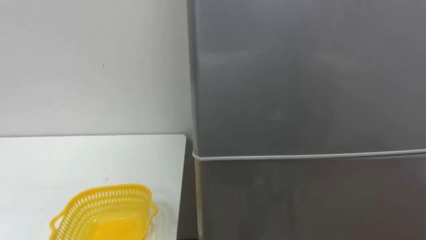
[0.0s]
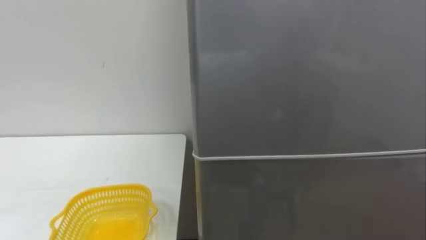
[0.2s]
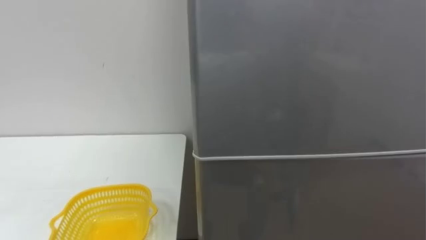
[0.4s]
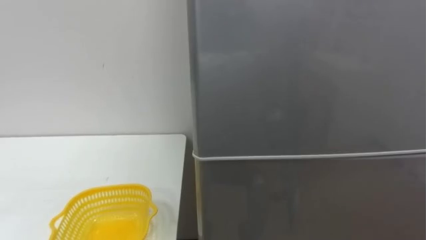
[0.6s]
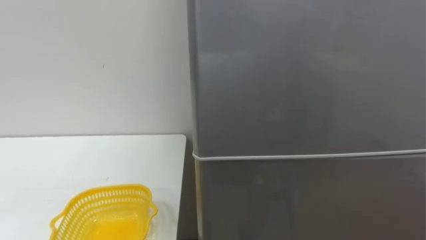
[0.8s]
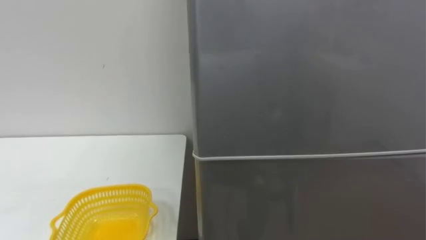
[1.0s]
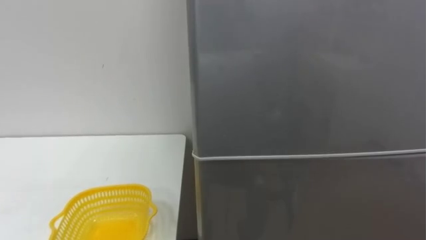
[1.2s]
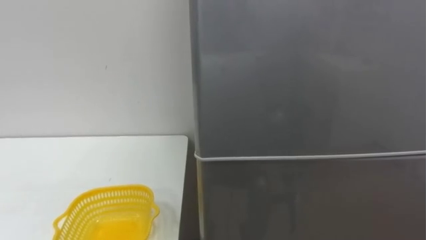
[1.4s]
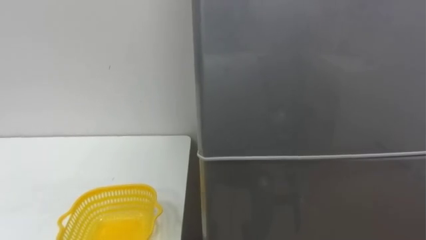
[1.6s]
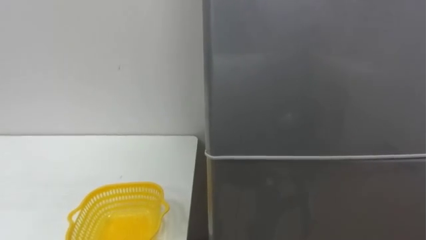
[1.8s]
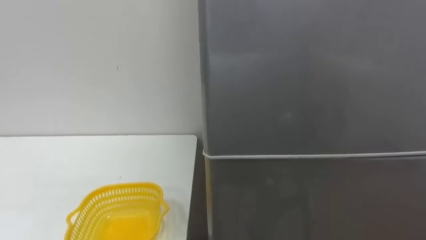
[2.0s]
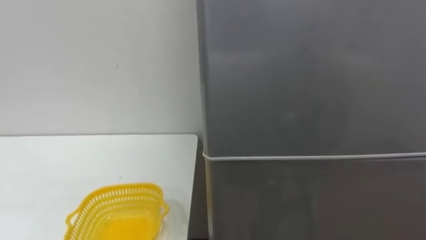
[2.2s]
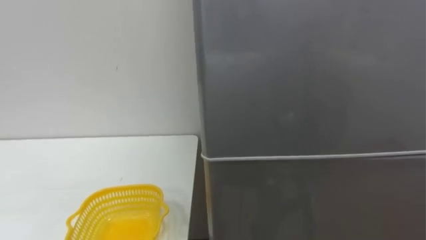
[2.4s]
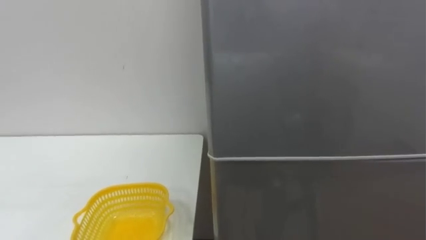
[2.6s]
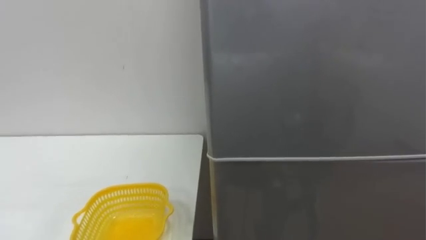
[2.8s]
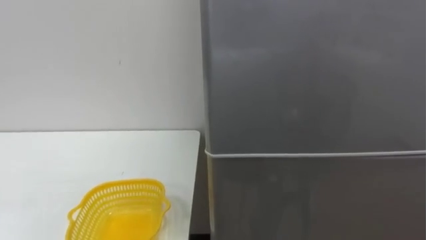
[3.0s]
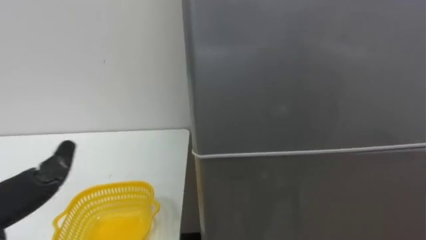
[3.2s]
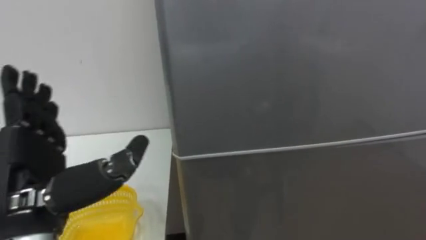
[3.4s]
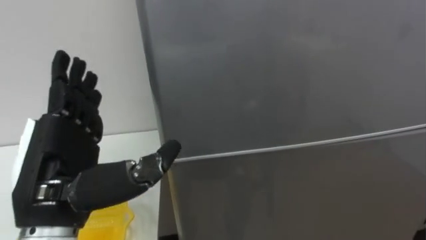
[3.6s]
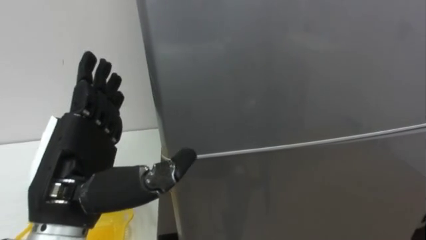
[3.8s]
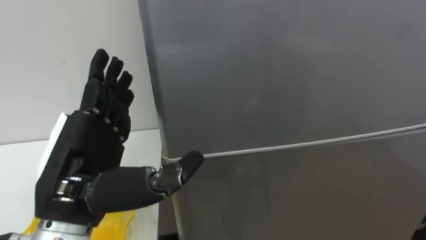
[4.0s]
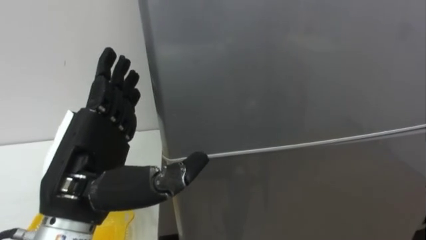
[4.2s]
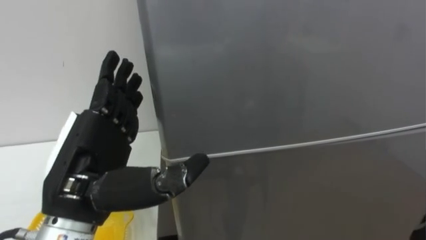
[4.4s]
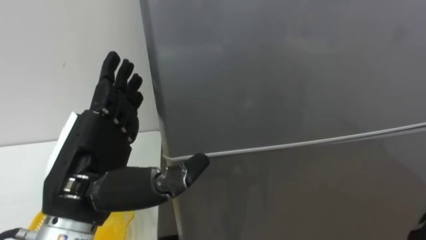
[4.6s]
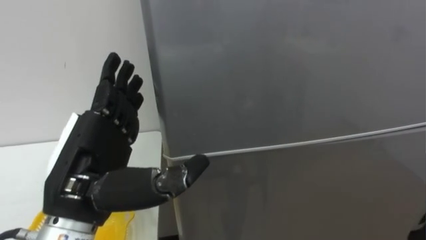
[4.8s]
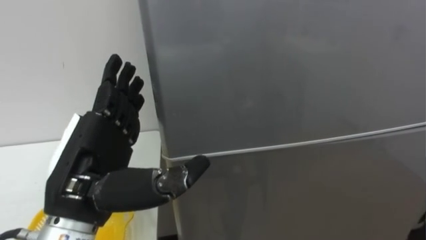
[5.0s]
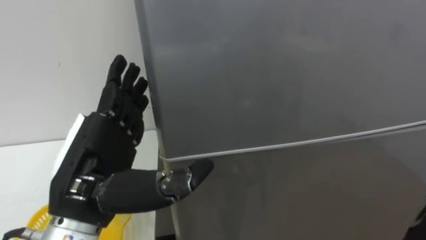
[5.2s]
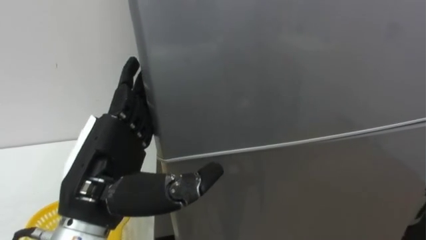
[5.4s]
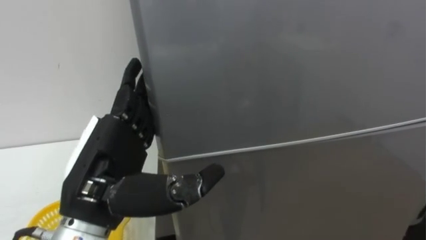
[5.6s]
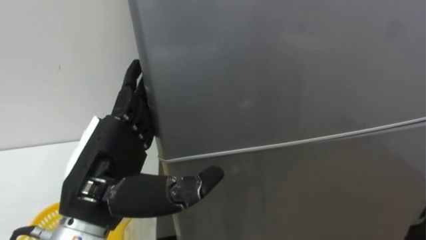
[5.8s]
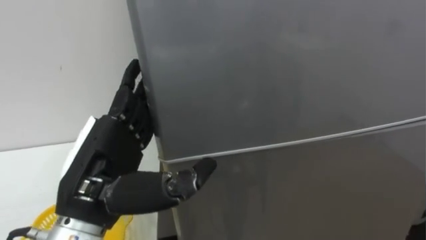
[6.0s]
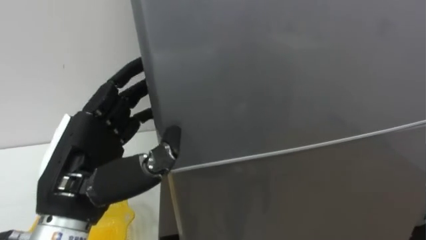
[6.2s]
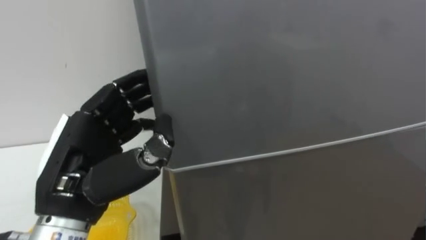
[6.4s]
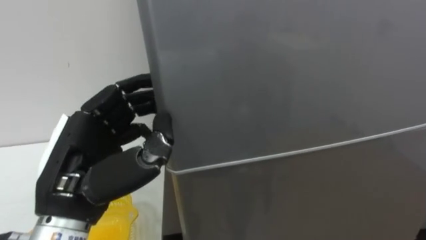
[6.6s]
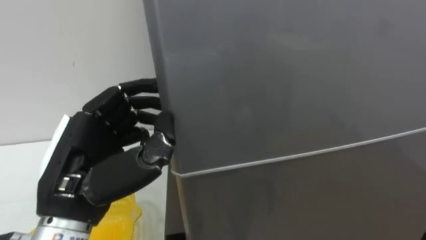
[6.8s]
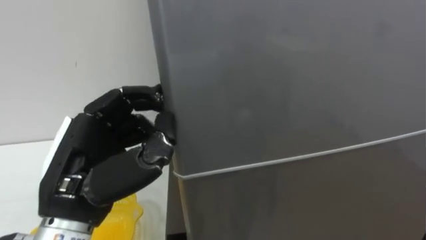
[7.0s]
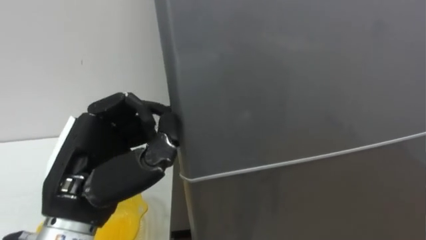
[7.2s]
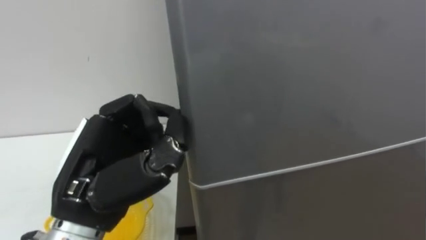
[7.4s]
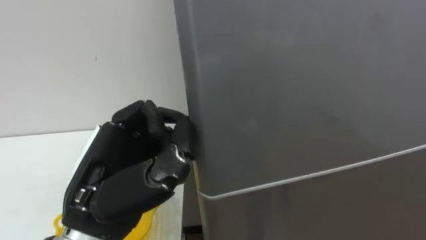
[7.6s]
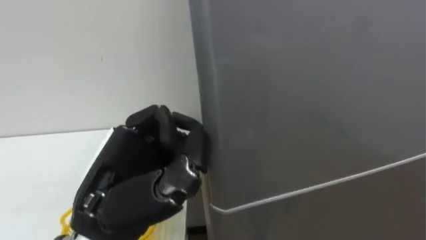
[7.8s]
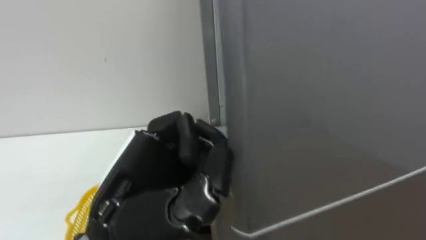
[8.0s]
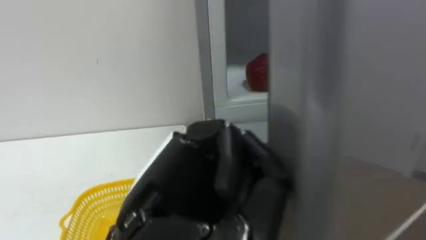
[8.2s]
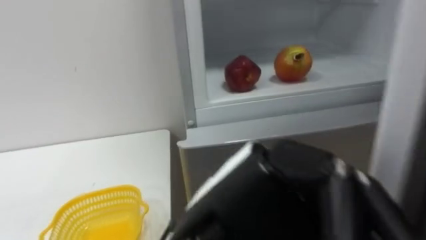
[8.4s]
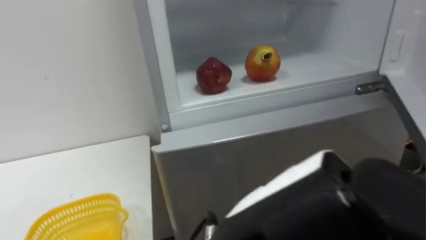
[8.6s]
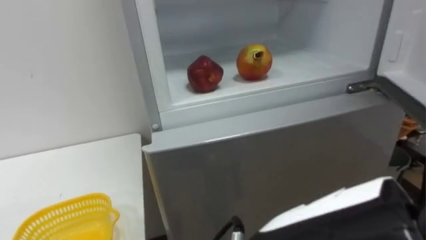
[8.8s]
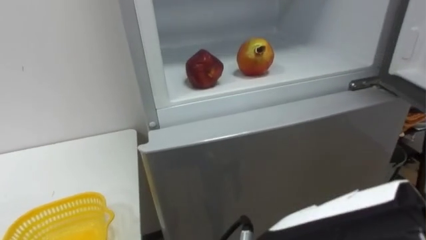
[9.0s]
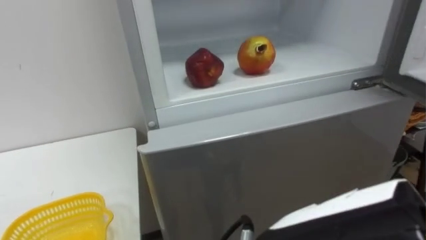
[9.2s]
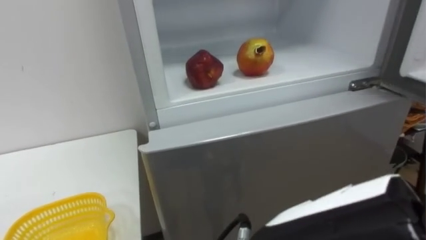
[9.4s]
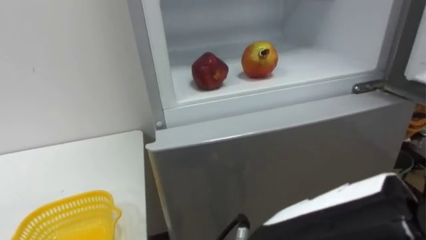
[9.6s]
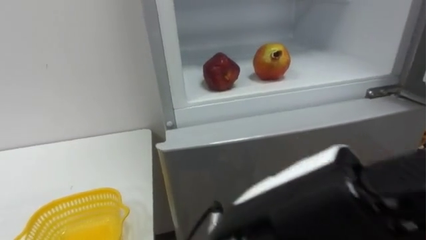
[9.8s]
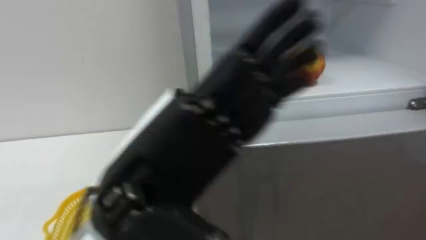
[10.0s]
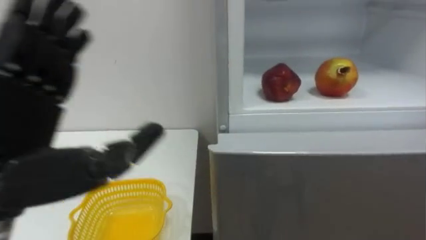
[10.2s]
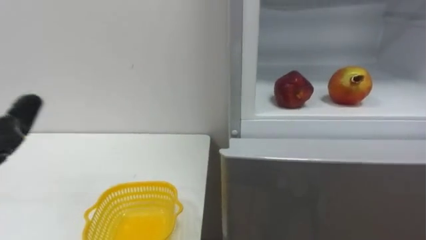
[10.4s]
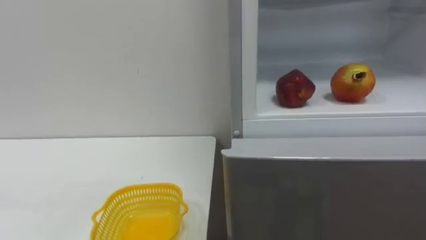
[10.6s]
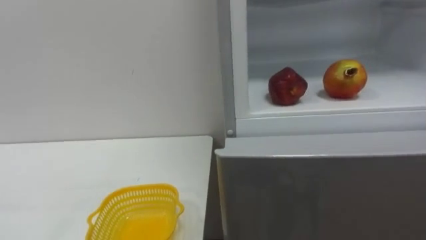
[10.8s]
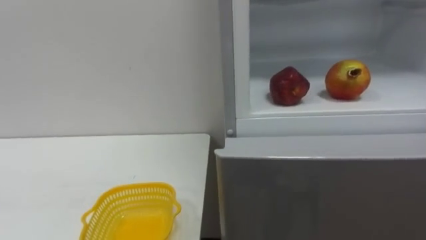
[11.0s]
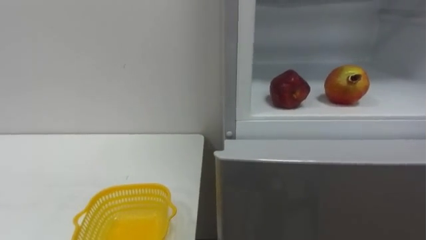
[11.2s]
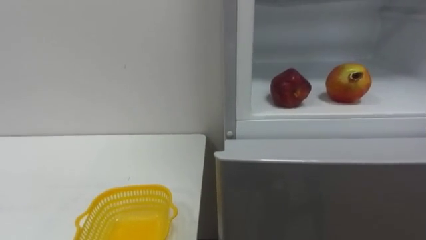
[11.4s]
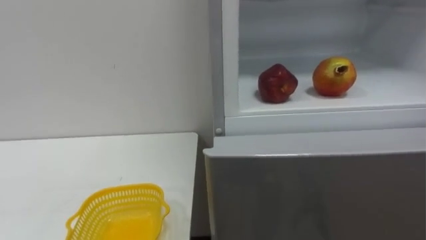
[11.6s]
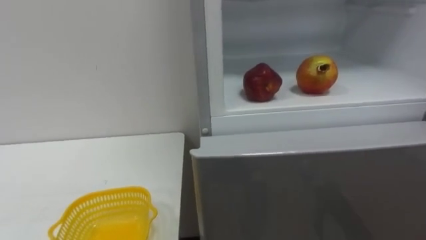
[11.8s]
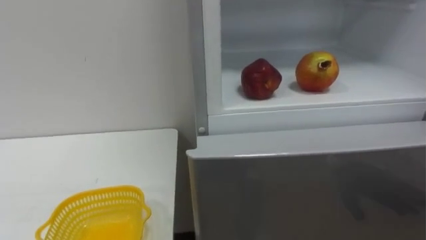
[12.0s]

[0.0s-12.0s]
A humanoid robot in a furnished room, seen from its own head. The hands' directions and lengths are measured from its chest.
Task of the whole recording: Open the refrigerator door, take out the apple and the pomegranate, place them in the fruit basket on the left, and close the refrigerator door.
6.0s to 7.6s: The left hand closes.

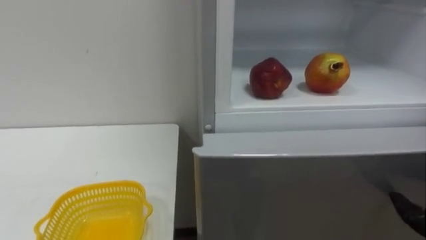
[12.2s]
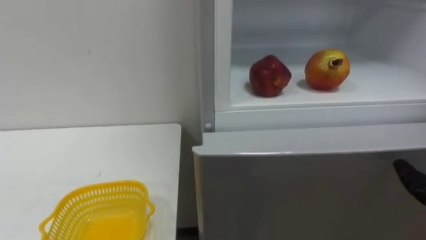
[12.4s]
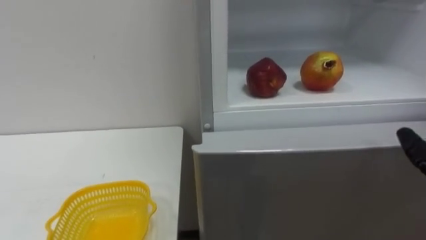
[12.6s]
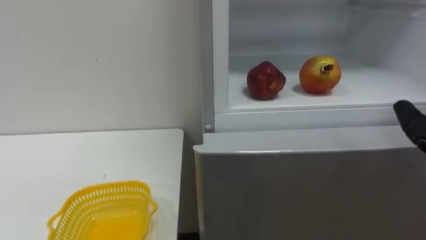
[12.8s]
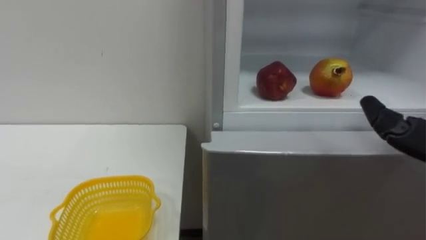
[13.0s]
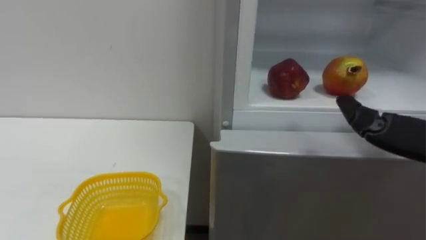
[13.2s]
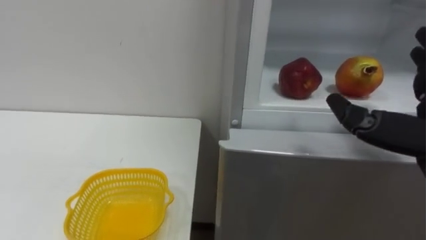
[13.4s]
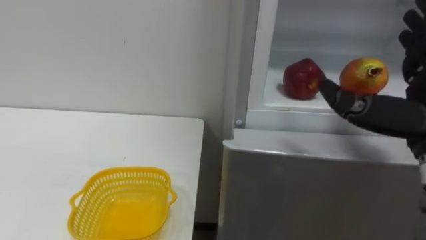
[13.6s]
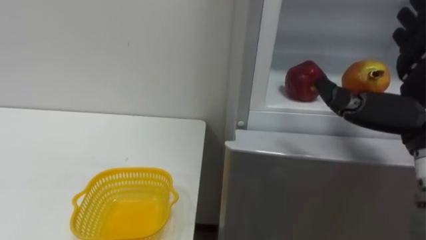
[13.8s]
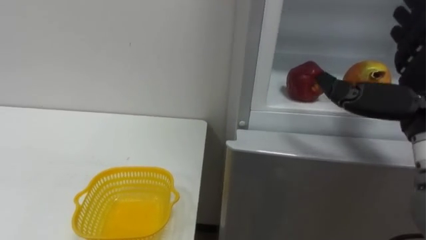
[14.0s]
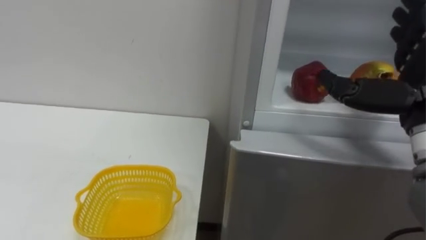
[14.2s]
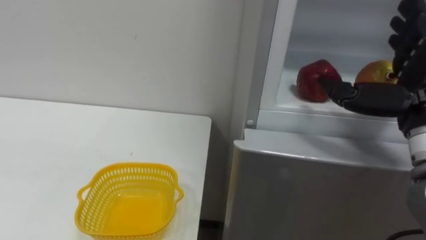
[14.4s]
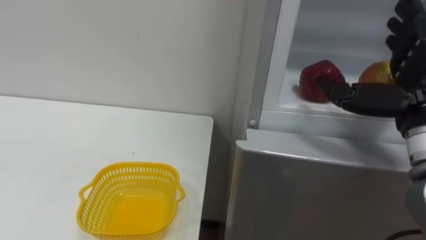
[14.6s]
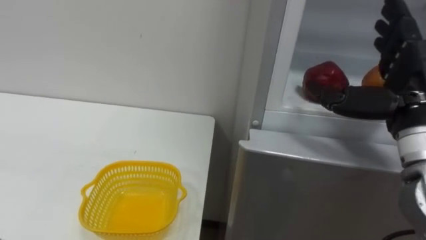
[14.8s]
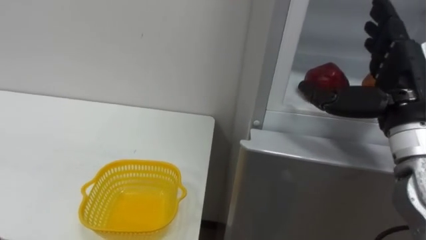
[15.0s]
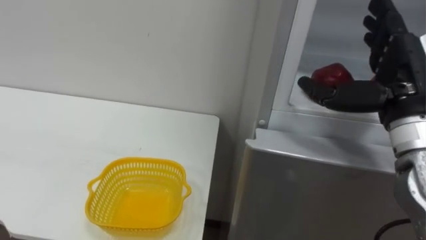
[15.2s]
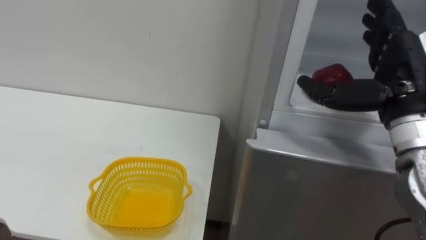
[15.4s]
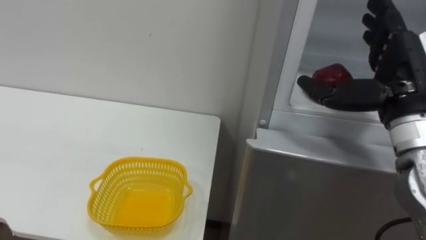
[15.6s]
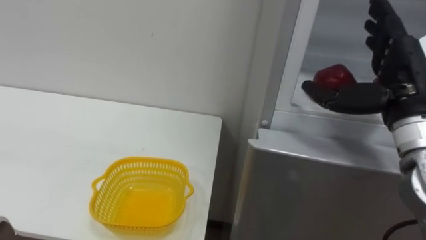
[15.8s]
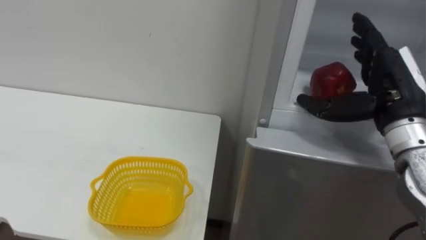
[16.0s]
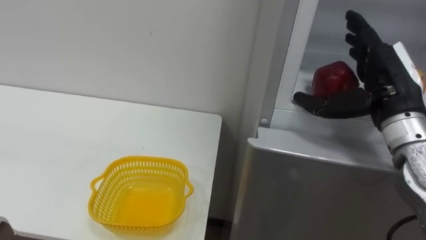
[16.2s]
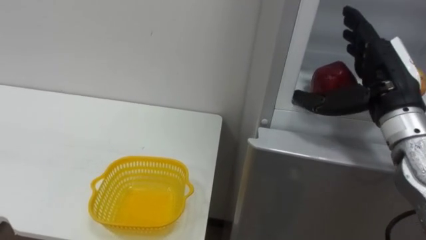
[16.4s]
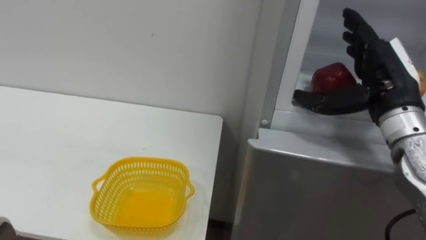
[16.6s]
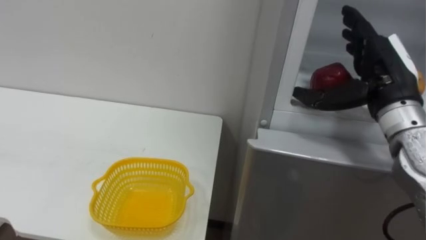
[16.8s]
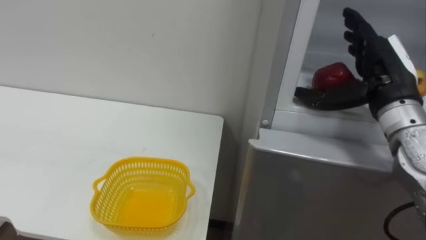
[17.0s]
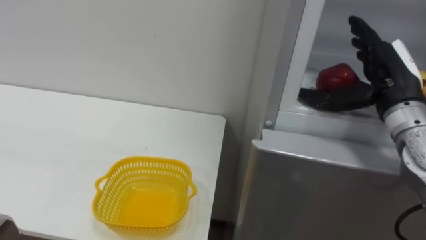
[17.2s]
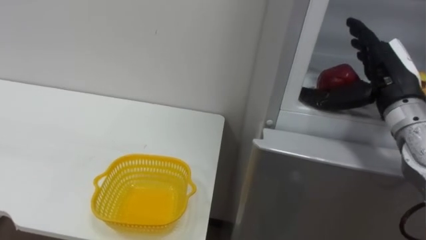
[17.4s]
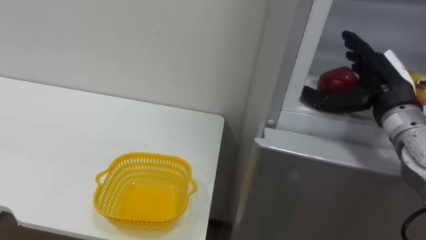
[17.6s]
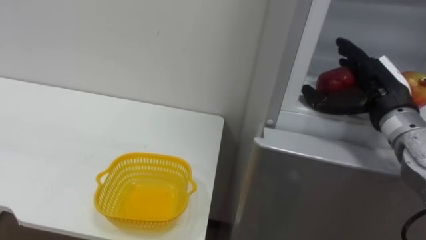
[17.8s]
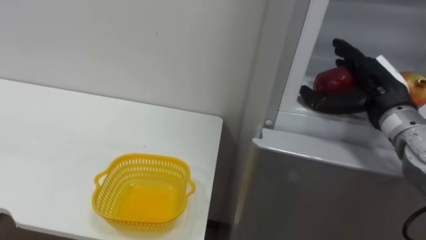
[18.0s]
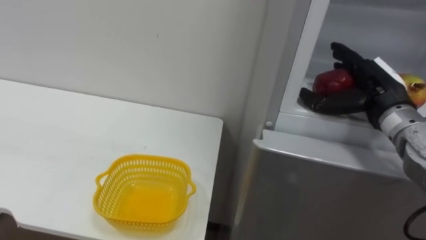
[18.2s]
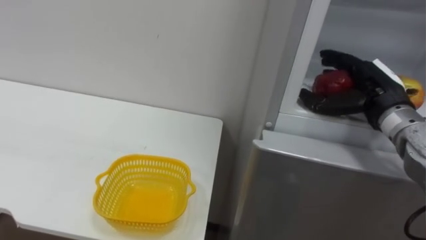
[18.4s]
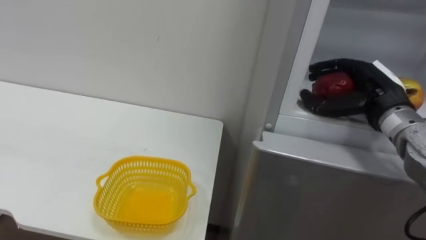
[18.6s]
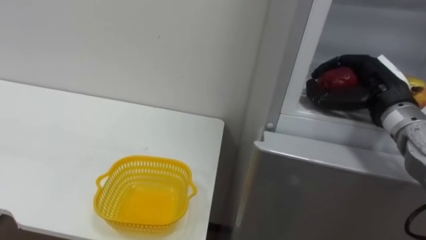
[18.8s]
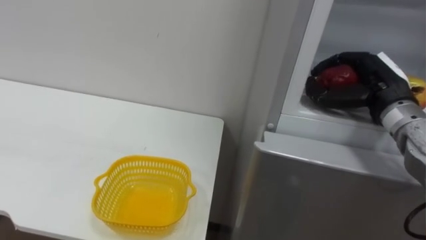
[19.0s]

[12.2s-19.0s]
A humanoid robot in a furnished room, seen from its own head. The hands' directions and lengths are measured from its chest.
Task of the whole recording: Open the refrigerator door, take out the apple and the pomegranate, place them in the fruit basket on the left, and close the refrigerator door.
13.6s to 15.0s: The right hand moves forward, roughly 5 cm.
17.6s to 19.0s: The right hand closes its fingers.
